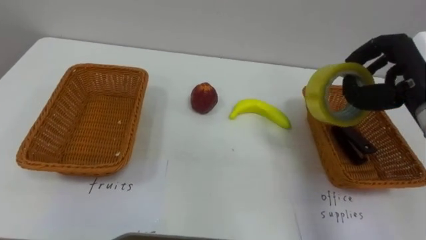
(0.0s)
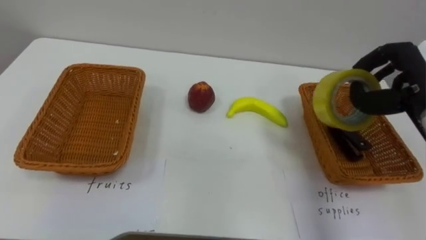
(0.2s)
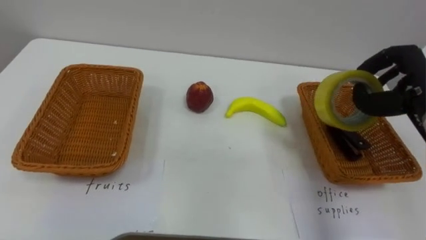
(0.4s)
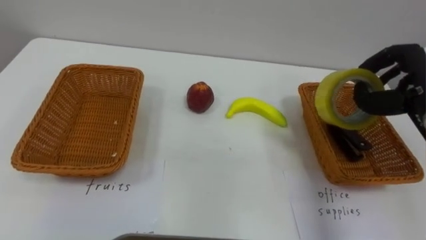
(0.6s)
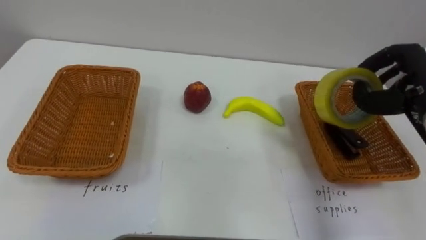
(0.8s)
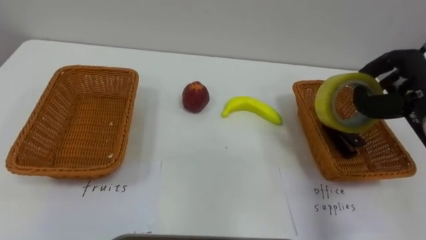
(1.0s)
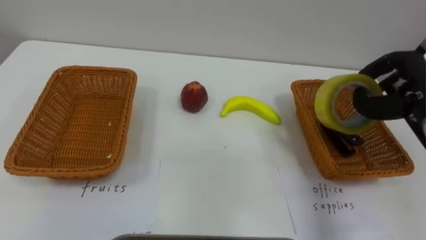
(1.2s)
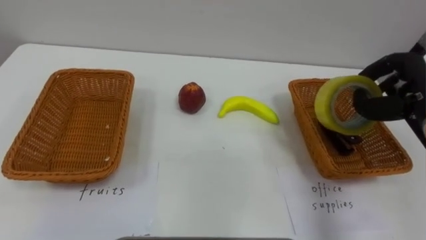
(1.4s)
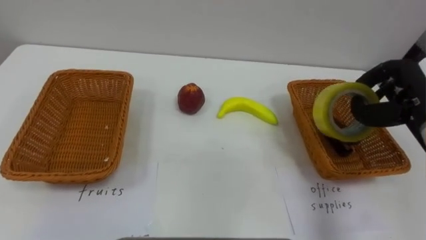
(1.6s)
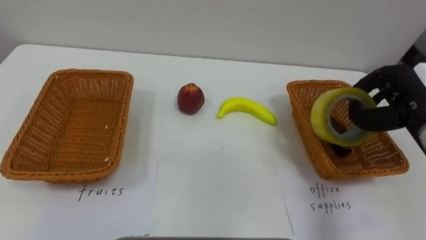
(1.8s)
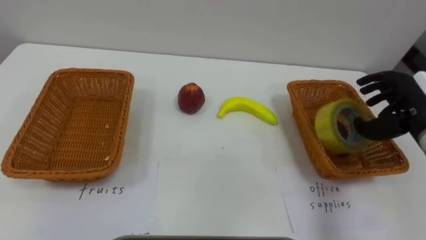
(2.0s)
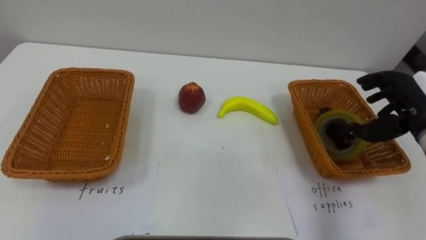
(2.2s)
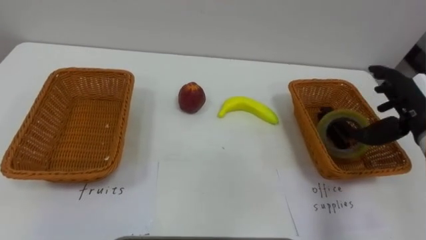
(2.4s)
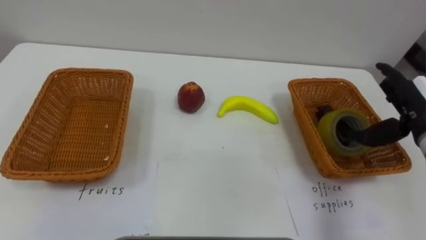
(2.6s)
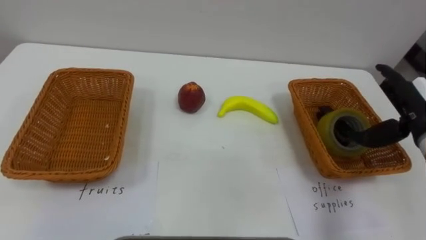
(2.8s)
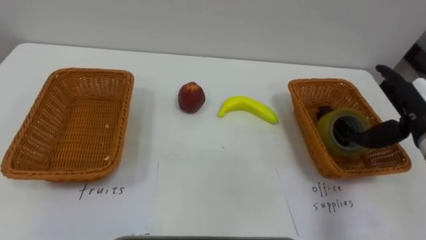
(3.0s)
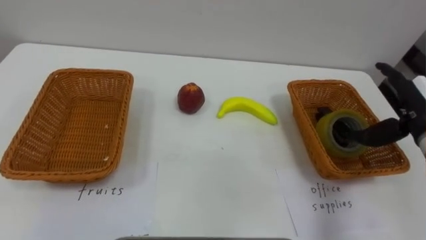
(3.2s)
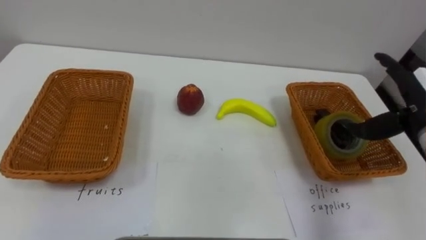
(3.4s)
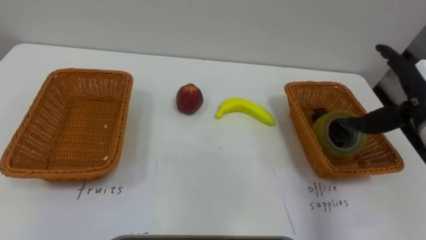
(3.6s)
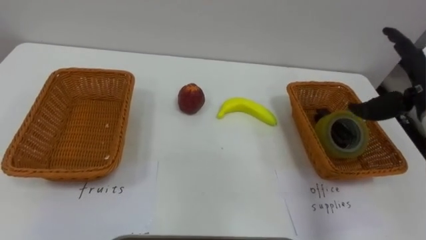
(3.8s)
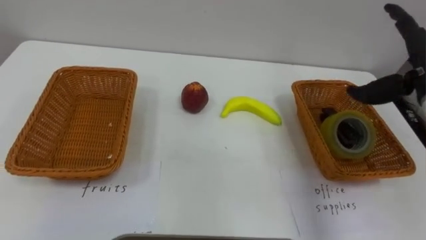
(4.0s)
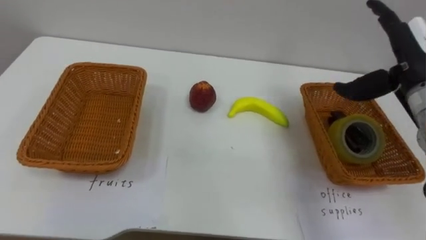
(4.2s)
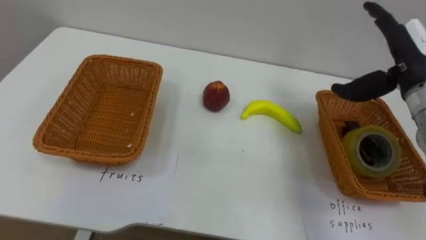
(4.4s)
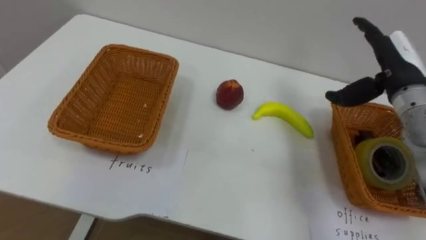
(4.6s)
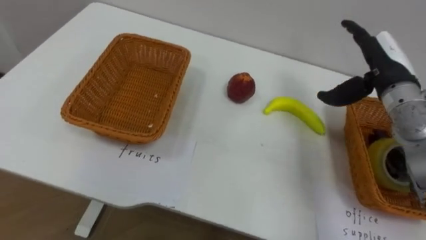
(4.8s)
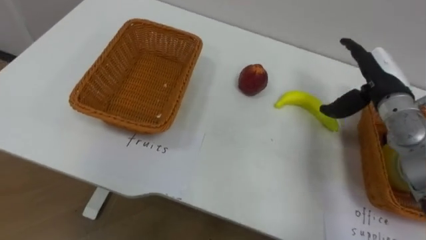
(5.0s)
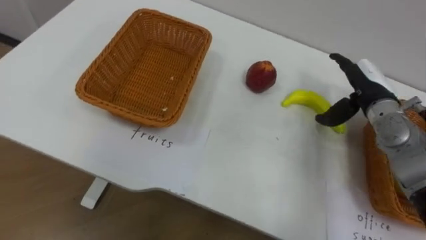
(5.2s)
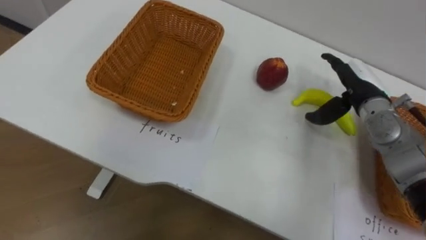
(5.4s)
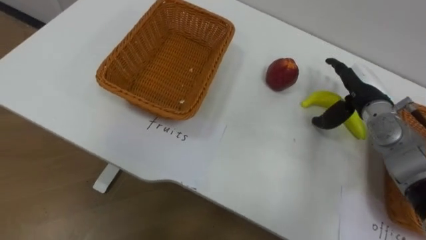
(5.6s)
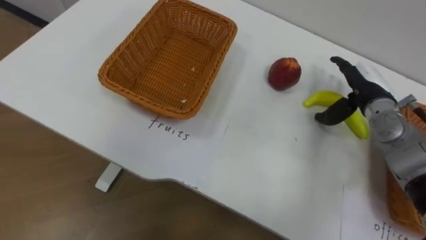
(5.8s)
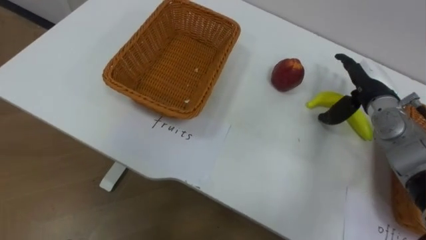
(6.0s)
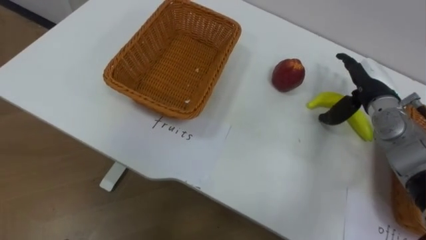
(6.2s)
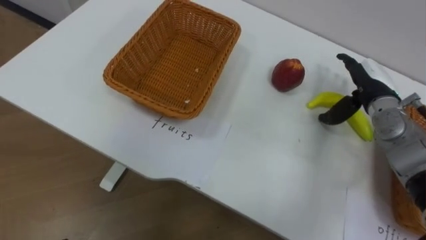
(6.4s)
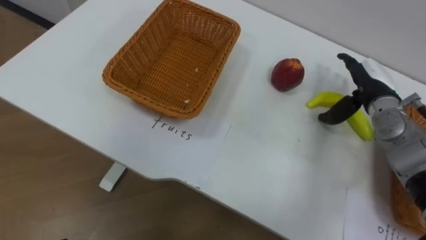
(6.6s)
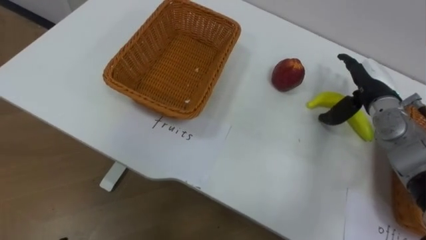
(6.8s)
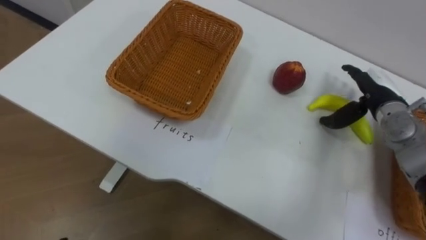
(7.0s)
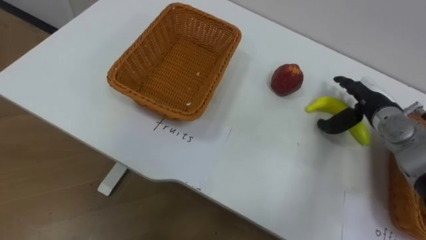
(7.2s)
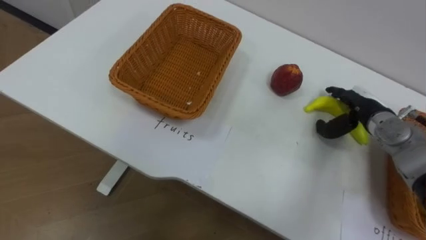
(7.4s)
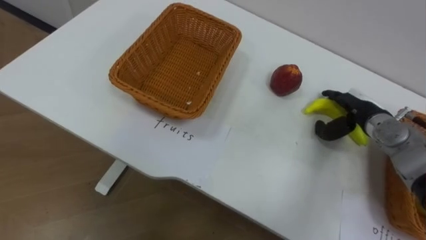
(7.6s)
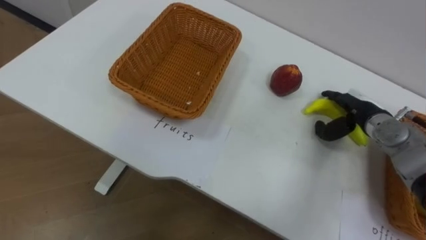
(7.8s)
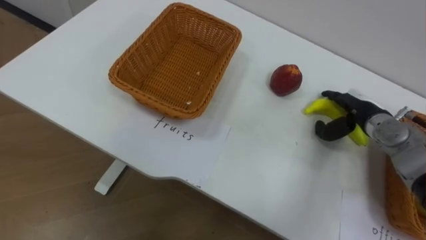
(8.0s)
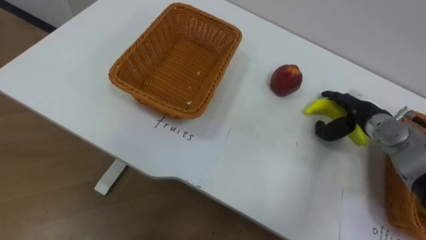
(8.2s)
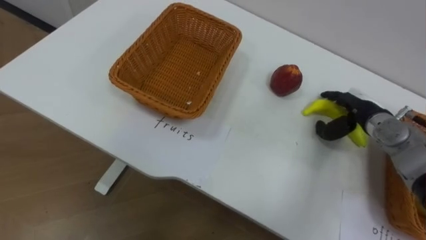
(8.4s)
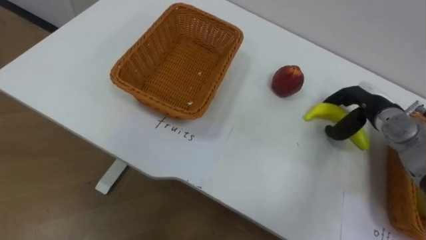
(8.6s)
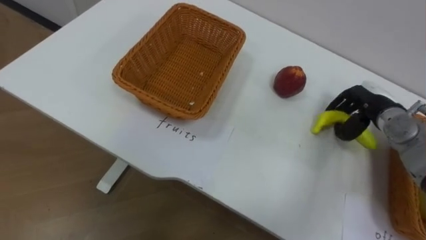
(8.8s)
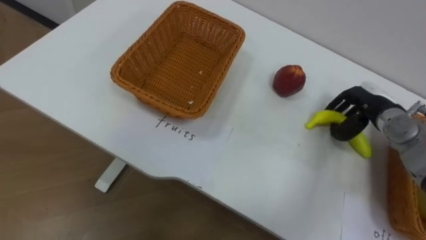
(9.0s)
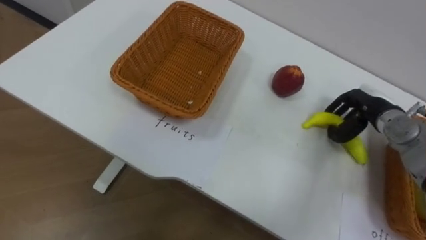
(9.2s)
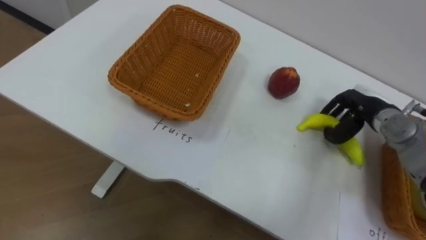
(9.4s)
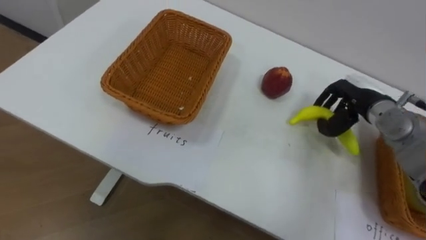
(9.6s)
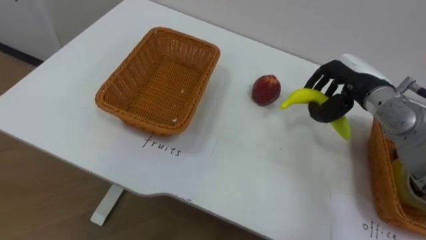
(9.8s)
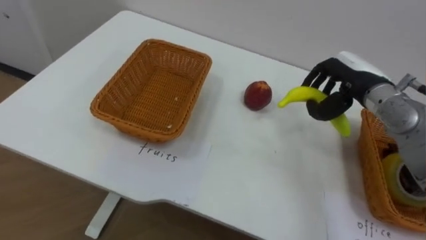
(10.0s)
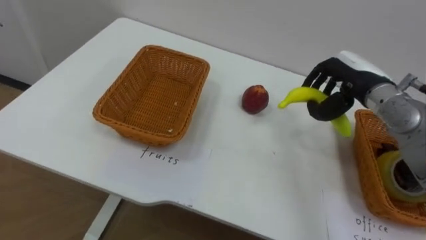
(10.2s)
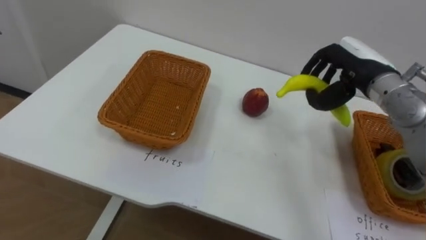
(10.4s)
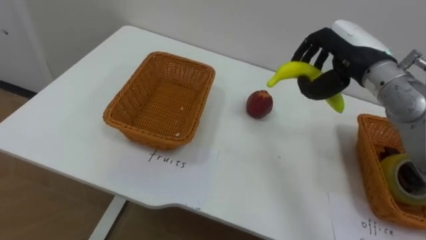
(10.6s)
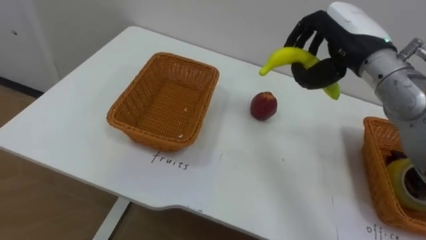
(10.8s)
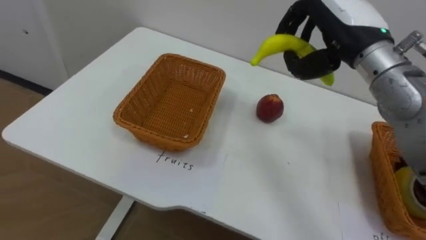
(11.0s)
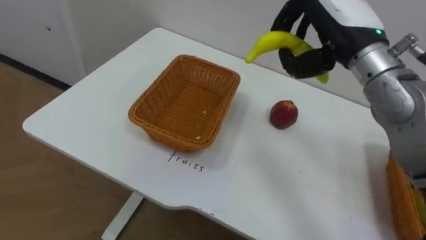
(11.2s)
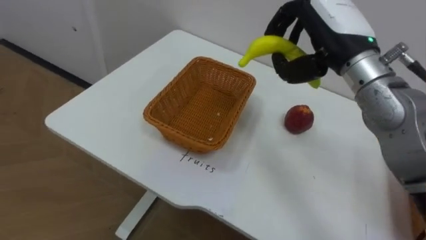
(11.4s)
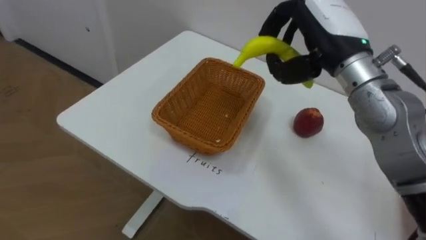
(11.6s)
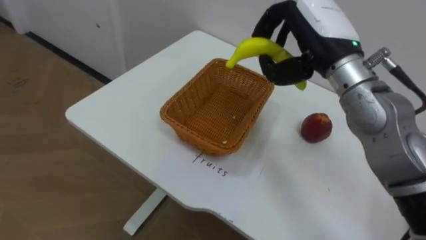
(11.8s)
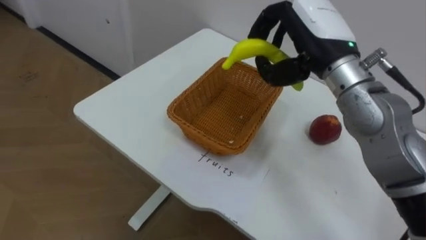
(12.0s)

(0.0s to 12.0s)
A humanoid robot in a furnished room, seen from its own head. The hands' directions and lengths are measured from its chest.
Task of the whole recording: Separate the items on the table and place them into the two baskets.
0.0s - 1.6s: The right hand moves about 5 cm.
1.6s - 3.0s: The right hand opens its fingers.
3.0s - 4.4s: The right hand moves upward, approximately 10 cm.
4.4s - 6.0s: The right hand goes some 10 cm downward.
6.0s - 7.6s: The right hand travels downward by some 5 cm.
7.6s - 9.0s: The right hand closes.
9.0s - 10.4s: The right hand is displaced upward and to the left by about 10 cm.
10.4s - 12.0s: The right hand moves to the left and upward, roughly 15 cm.

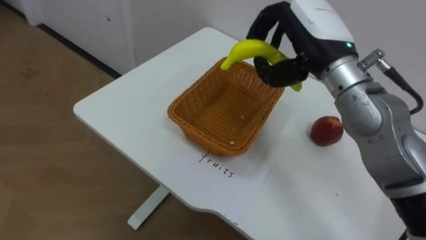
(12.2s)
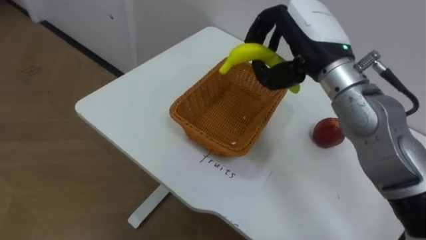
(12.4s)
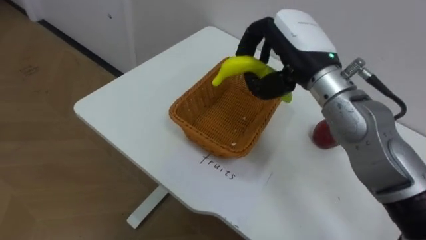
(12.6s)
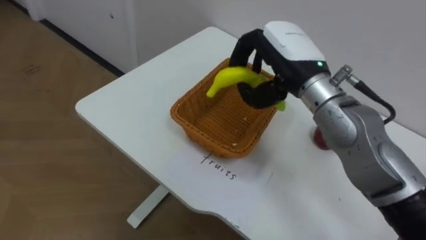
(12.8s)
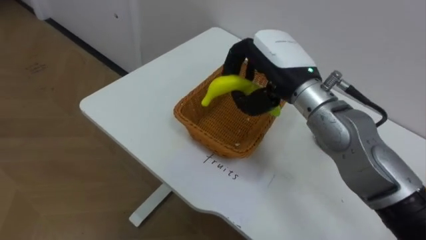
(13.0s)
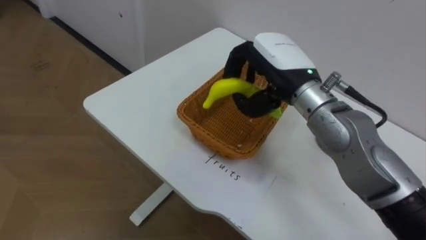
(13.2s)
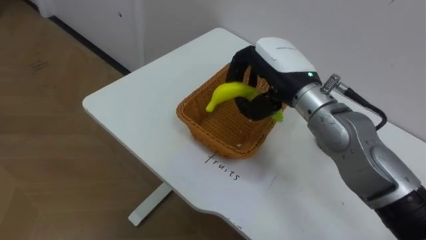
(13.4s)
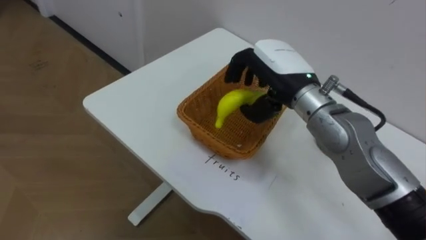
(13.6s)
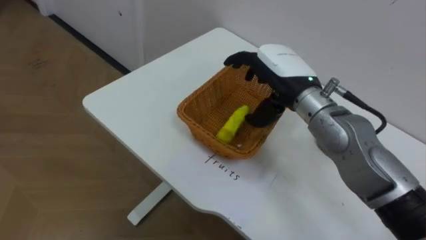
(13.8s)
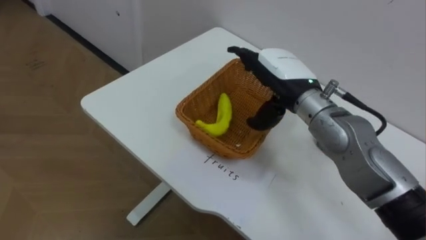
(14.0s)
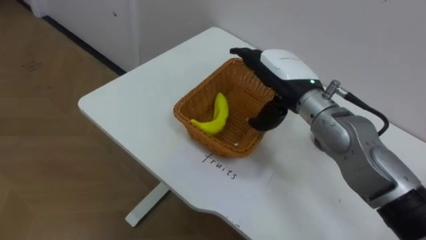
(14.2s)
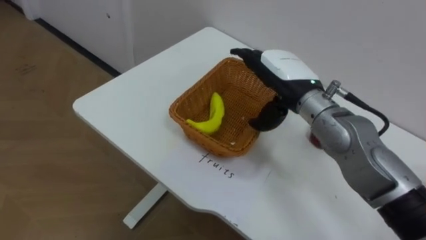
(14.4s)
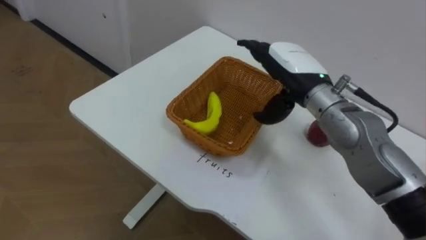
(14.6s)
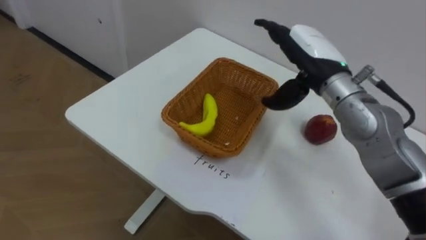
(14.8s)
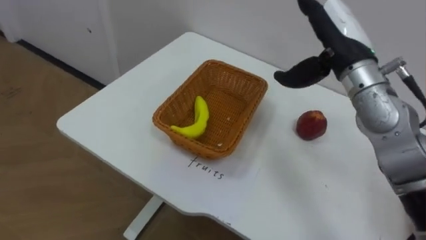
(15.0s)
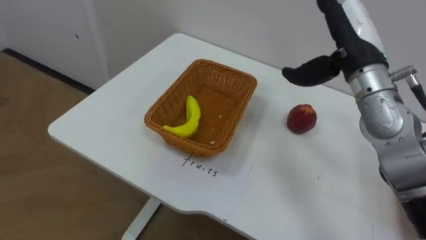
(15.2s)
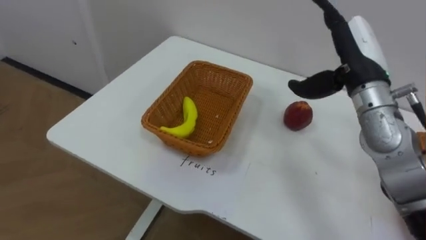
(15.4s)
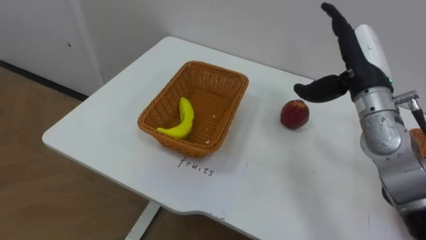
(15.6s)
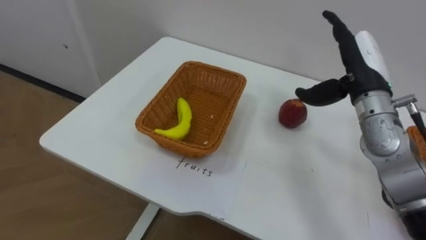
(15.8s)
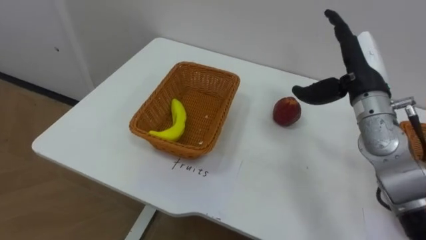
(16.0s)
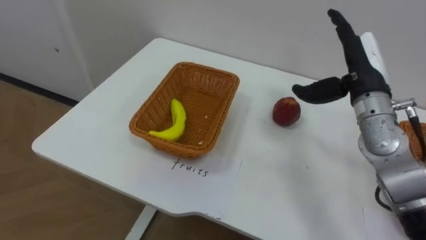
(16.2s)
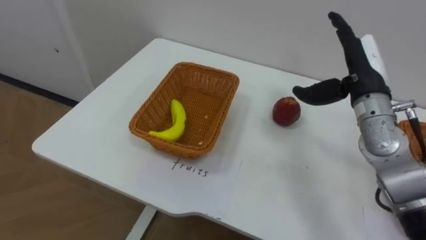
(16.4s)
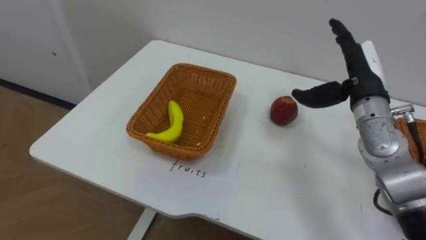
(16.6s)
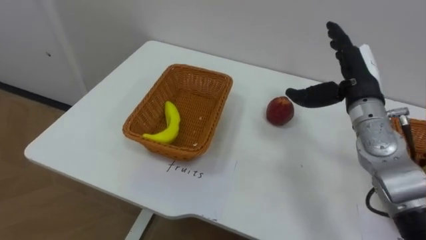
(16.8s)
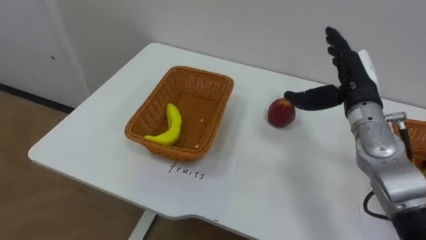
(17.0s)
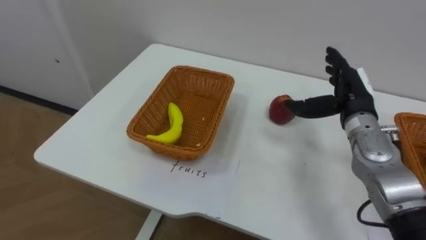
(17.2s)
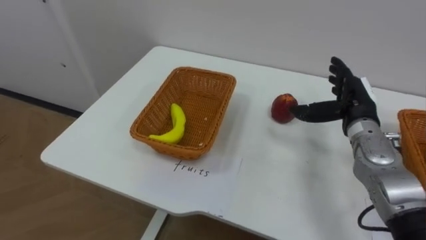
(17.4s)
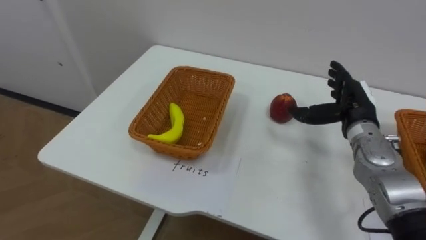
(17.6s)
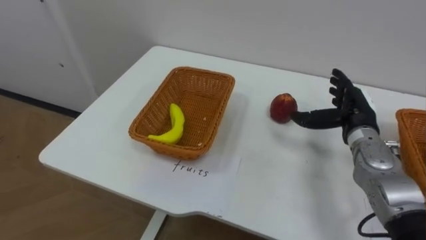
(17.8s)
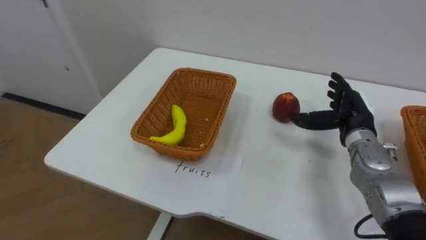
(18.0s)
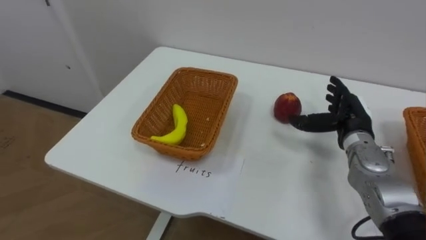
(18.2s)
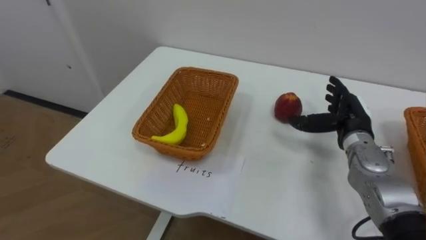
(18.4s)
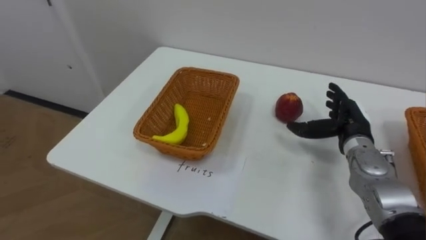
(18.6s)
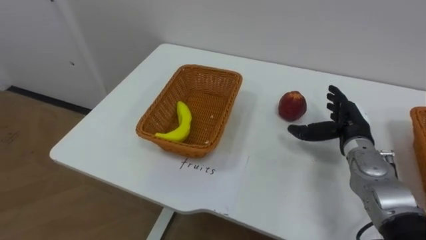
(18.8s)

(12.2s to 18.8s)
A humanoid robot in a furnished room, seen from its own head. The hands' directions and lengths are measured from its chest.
Task of the whole recording: Separate the items on the table and place them into the two baskets.
12.2s - 13.8s: The right hand shifts about 5 cm downward, and opens its fingers.
13.8s - 15.4s: The right hand travels to the right by approximately 10 cm.
15.4s - 17.2s: The right hand travels downward by roughly 10 cm.
17.2s - 18.8s: The right hand shifts approximately 5 cm downward.
